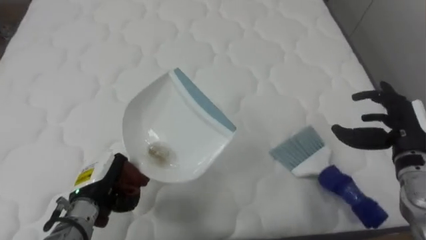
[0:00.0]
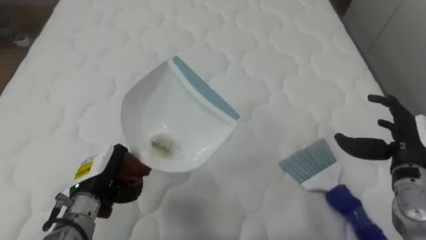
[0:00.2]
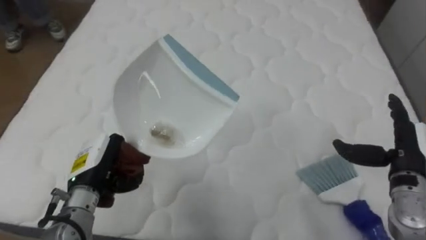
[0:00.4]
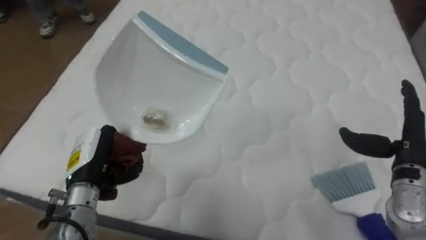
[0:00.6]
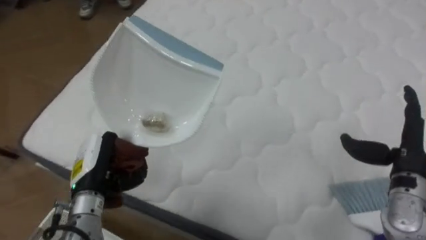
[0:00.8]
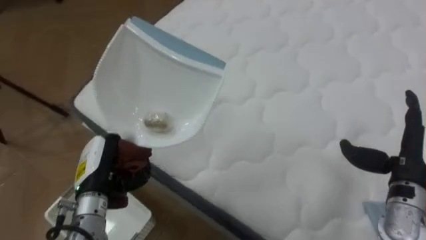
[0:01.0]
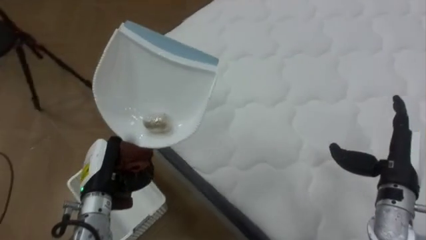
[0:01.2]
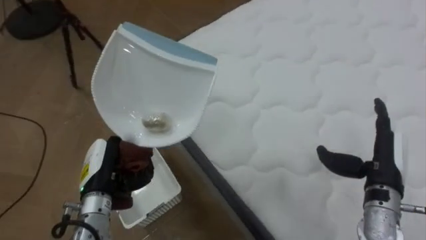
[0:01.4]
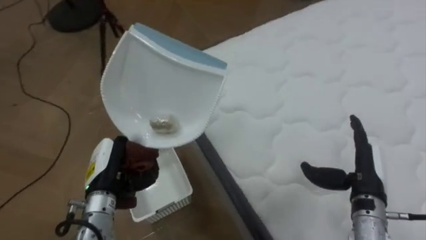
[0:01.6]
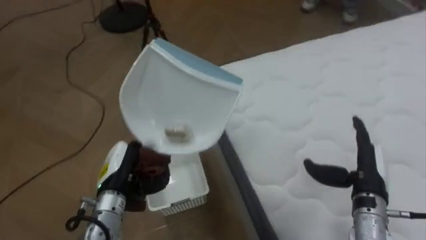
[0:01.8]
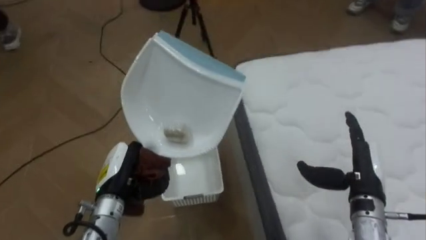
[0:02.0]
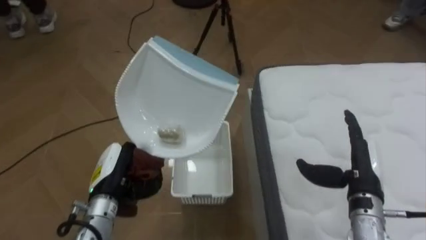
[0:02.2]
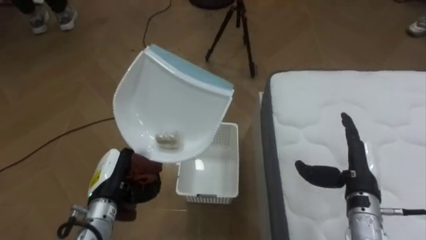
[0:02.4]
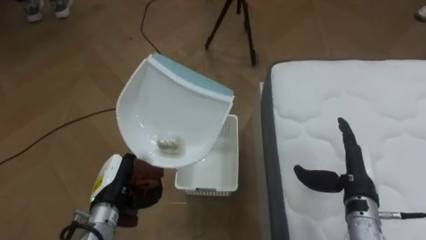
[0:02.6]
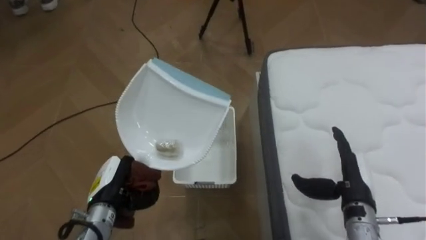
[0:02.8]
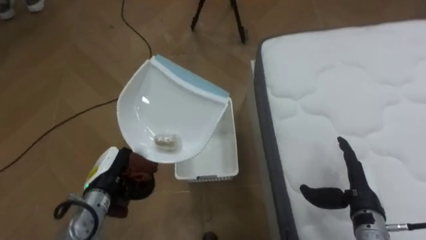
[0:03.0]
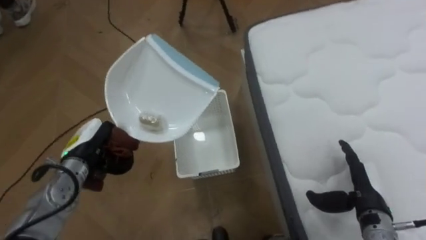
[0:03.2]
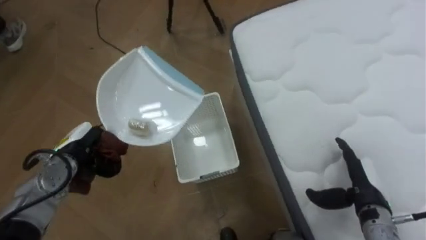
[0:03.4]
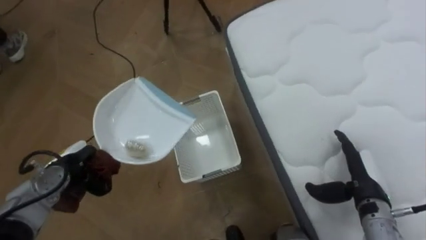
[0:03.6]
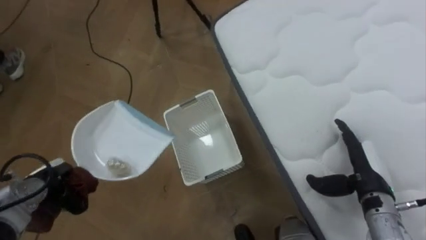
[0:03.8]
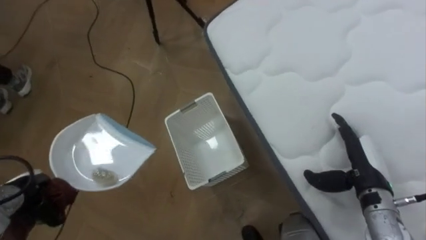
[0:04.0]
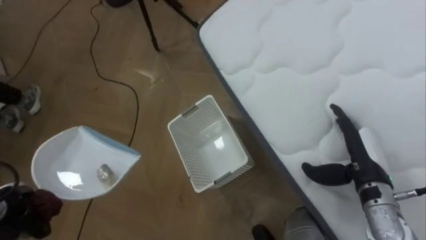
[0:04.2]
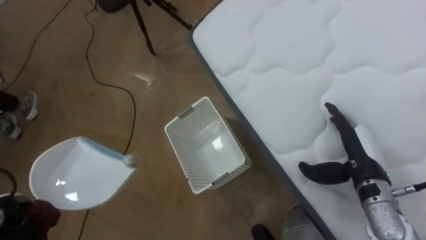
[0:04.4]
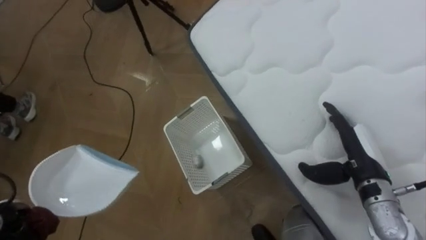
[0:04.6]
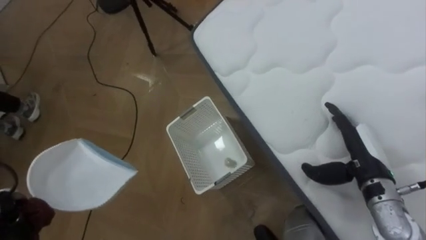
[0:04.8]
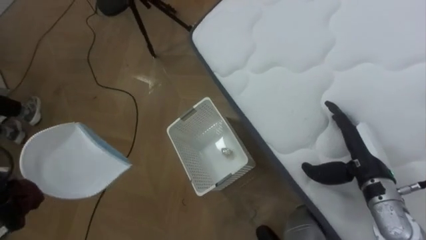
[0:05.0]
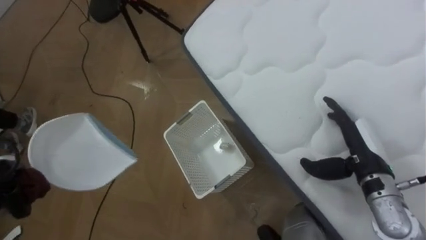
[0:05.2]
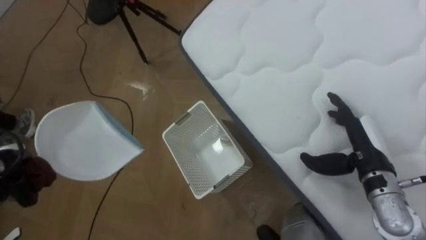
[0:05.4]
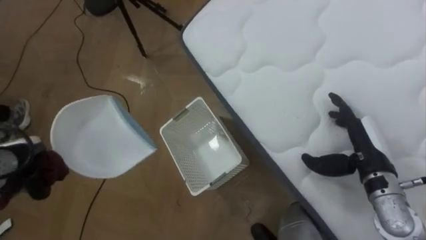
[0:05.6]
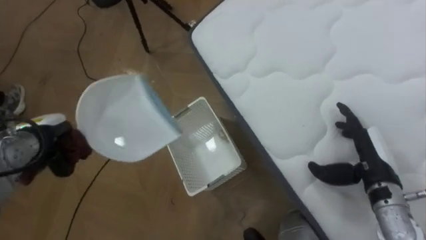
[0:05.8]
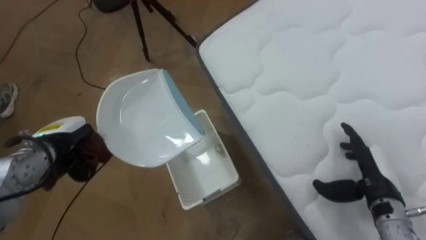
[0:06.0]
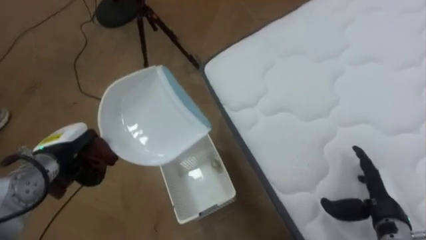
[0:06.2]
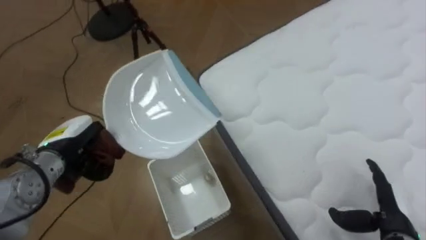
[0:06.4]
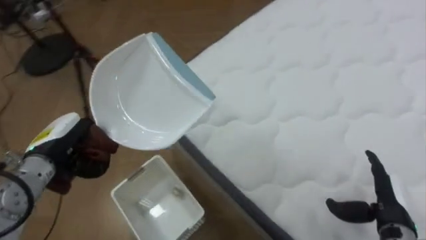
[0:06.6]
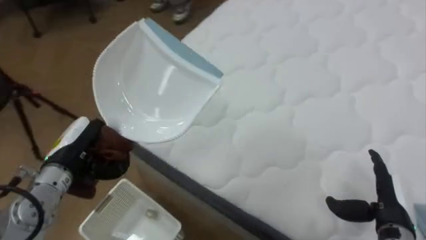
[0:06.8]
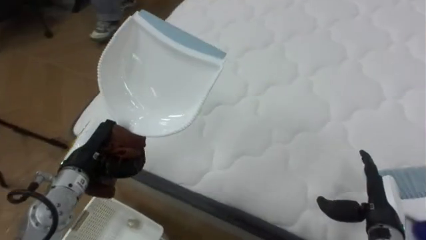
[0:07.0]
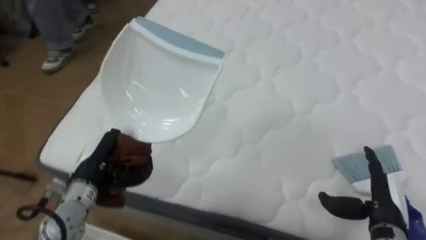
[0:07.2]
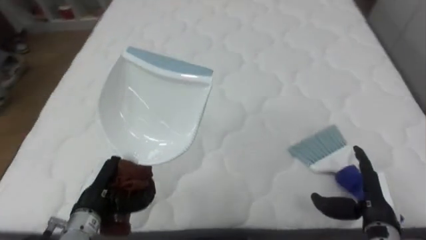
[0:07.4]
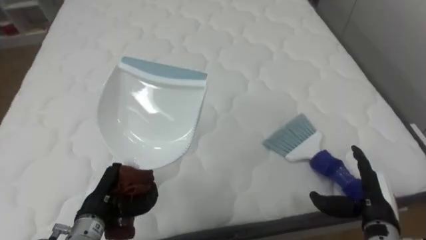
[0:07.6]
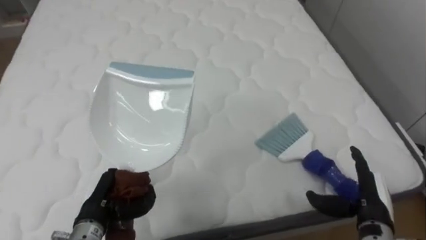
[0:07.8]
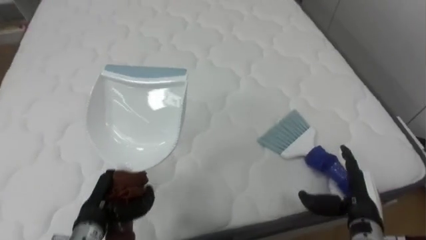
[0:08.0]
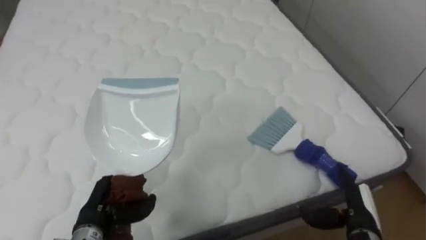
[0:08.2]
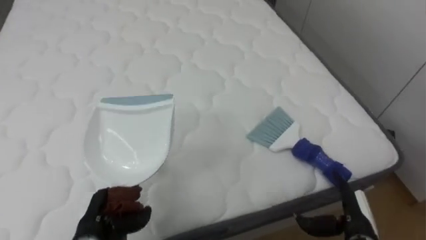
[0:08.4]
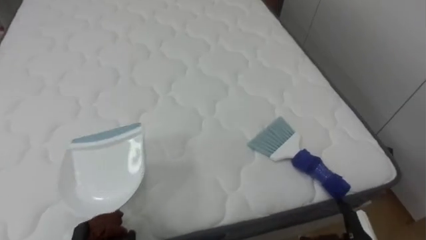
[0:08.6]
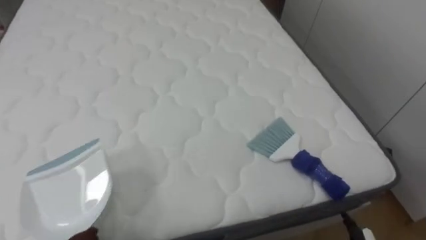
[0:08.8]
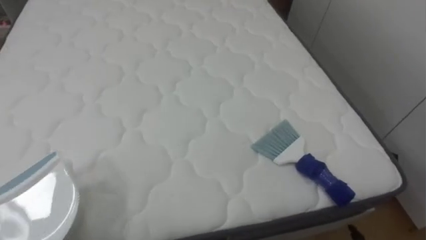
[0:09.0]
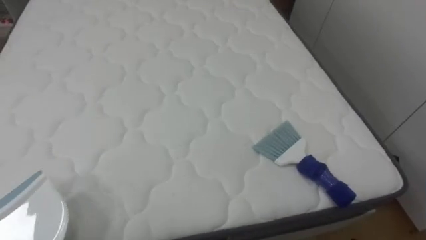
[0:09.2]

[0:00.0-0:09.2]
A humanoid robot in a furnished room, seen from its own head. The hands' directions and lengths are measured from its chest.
Task of the whole recording: Pick up the brush on your right and the dustpan on your left. Use the brush to sweep the crumpled paper on the bed into the dustpan, then turn left and empty it into the basket.
0.0 to 1.6 s: The robot faces some 65 degrees further to its left. The right hand heads to the left, downward and backward, covering approximately 10 cm.
1.6 to 3.0 s: The robot's body swings some 35 degrees to its left.
3.0 to 4.6 s: The left hand goes some 20 cm to the left. Meanwhile the right hand shifts some 5 cm upward.
4.6 to 6.2 s: The right hand goes roughly 10 cm downward and backward.
6.2 to 7.6 s: The robot rotates roughly 75 degrees to its right. The left hand is displaced backward and to the right by roughly 10 cm.

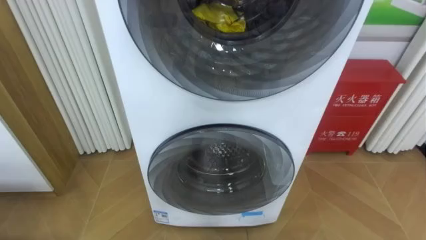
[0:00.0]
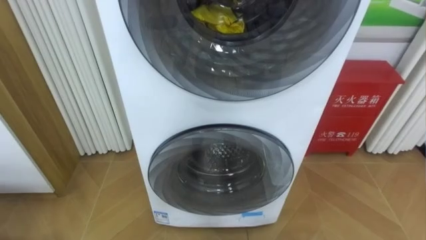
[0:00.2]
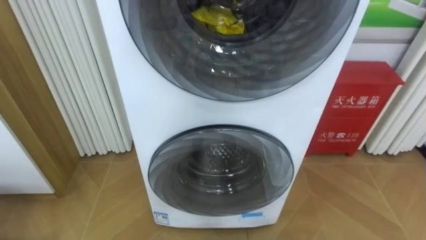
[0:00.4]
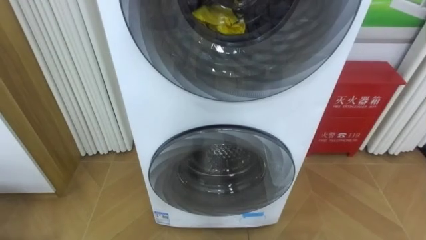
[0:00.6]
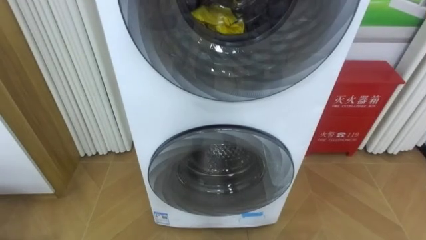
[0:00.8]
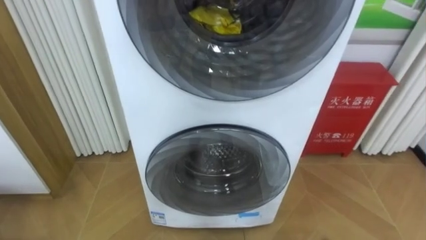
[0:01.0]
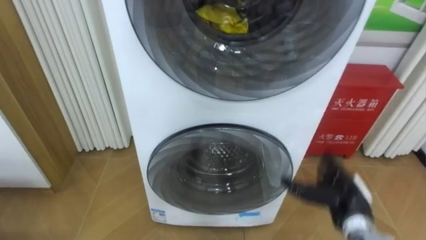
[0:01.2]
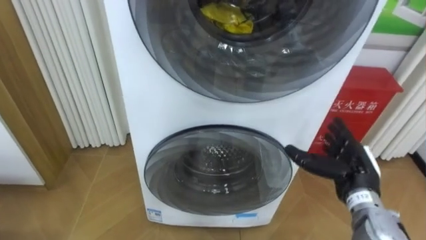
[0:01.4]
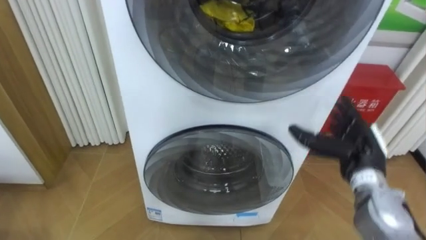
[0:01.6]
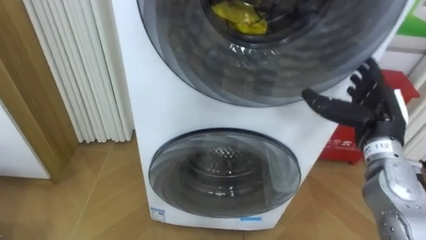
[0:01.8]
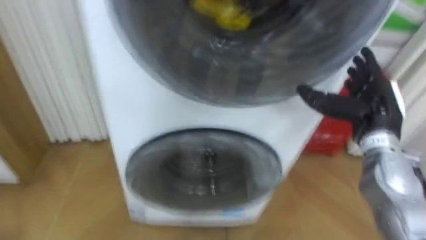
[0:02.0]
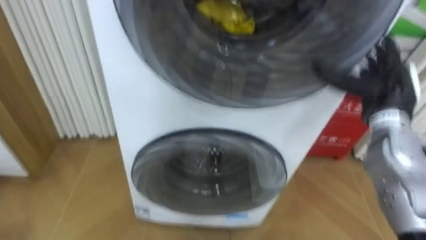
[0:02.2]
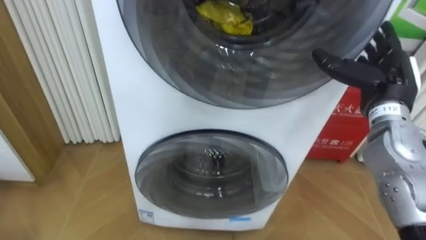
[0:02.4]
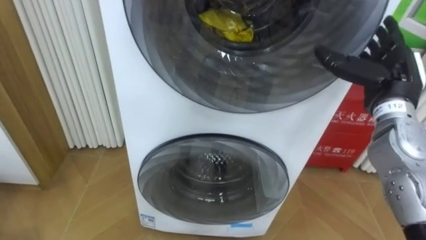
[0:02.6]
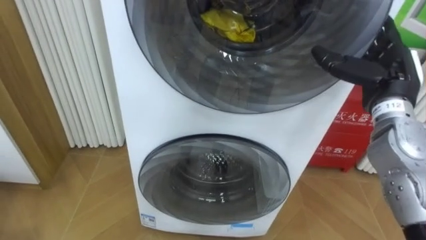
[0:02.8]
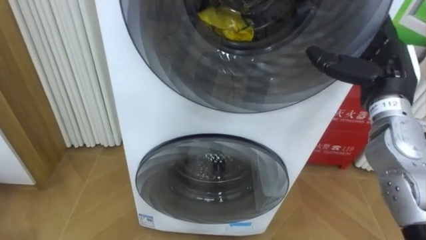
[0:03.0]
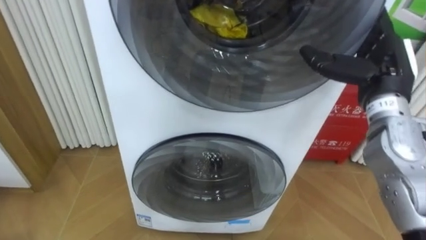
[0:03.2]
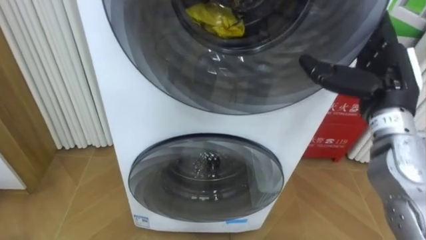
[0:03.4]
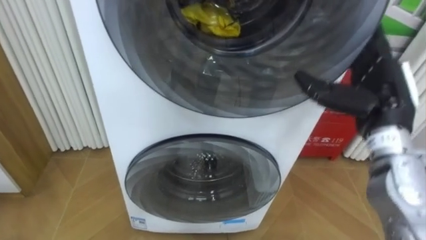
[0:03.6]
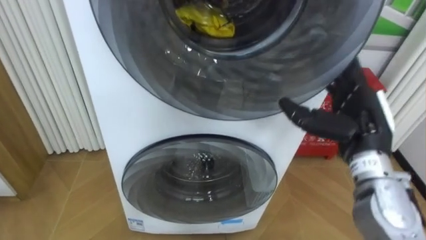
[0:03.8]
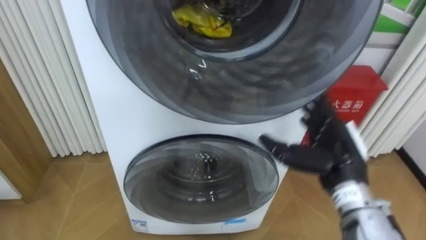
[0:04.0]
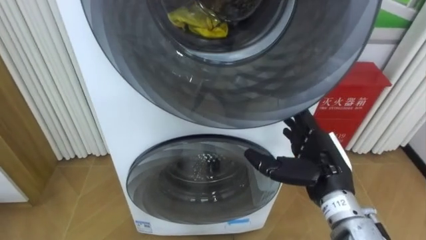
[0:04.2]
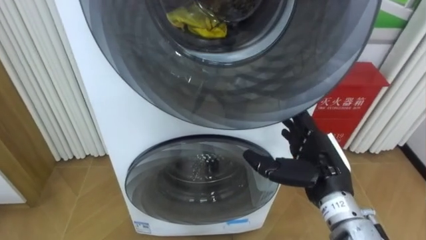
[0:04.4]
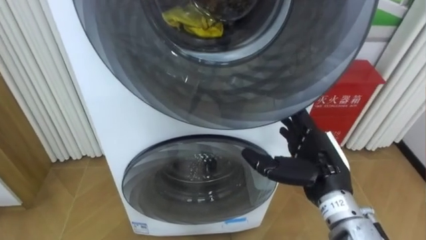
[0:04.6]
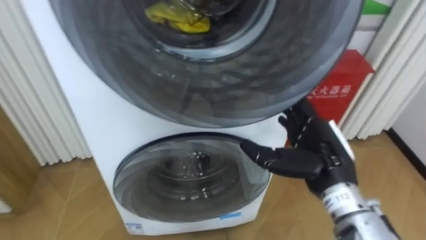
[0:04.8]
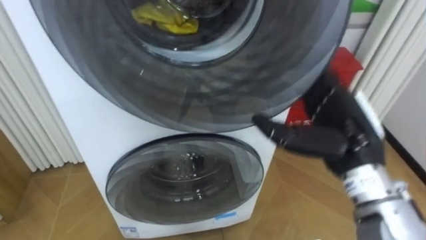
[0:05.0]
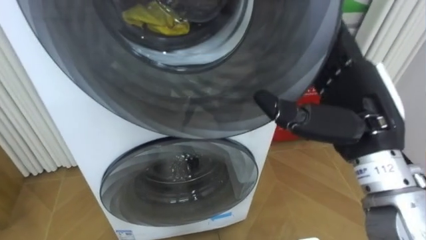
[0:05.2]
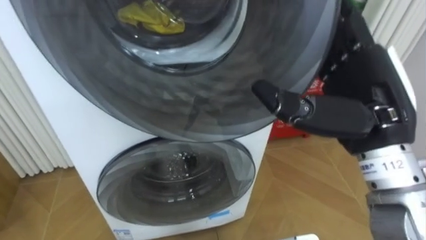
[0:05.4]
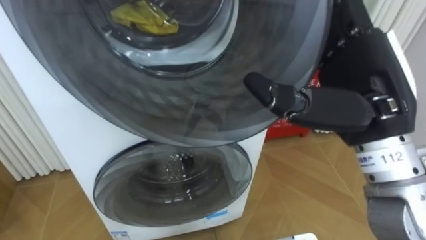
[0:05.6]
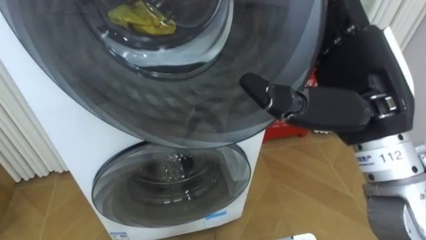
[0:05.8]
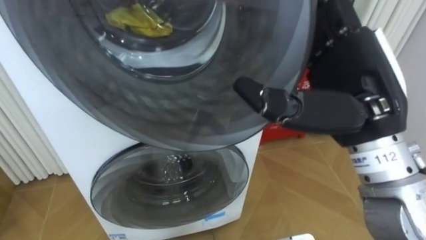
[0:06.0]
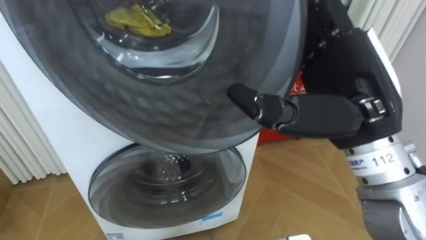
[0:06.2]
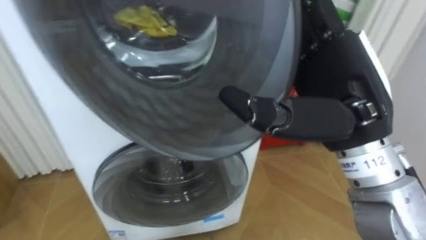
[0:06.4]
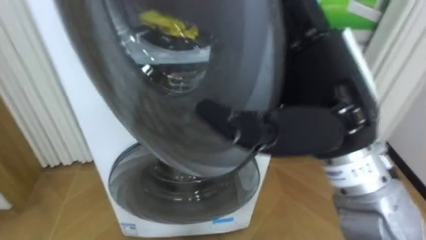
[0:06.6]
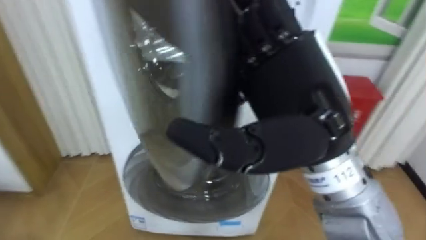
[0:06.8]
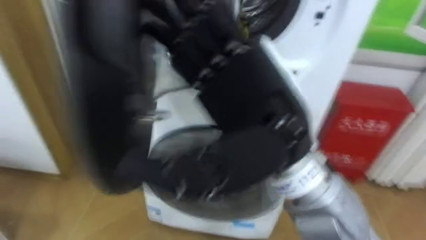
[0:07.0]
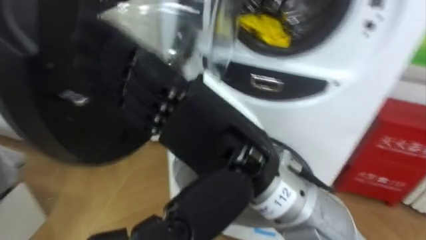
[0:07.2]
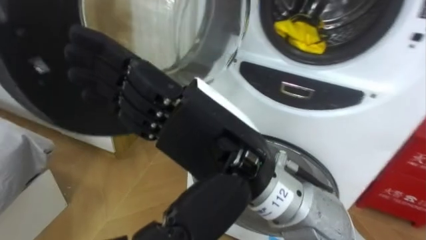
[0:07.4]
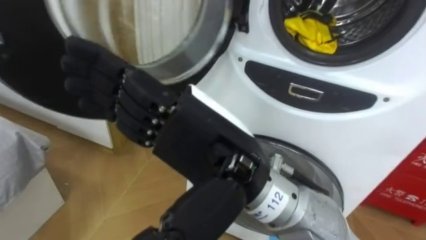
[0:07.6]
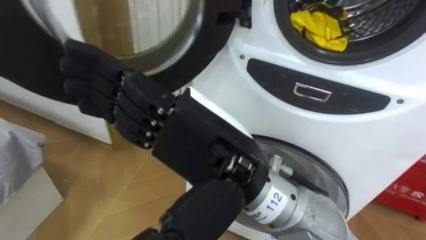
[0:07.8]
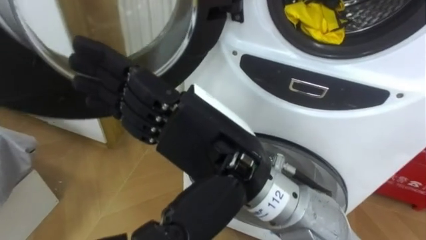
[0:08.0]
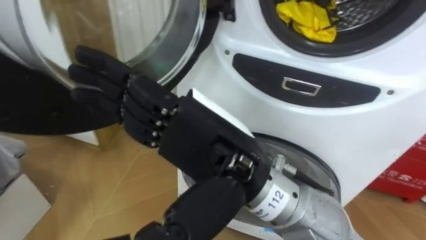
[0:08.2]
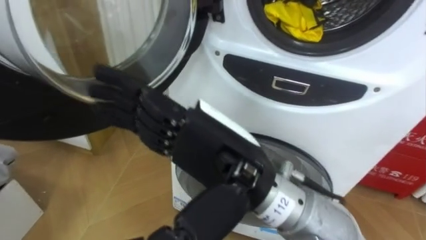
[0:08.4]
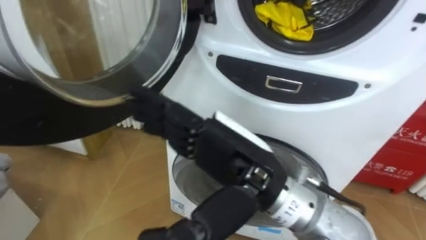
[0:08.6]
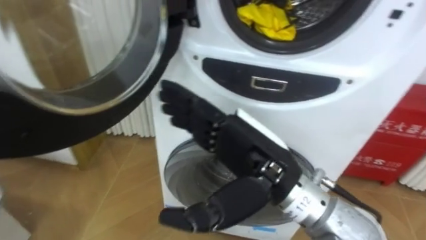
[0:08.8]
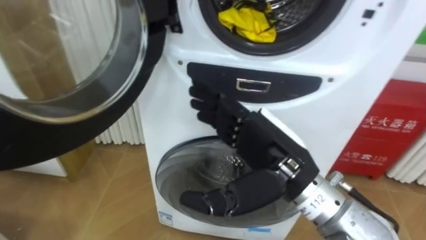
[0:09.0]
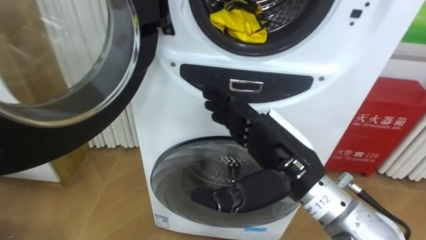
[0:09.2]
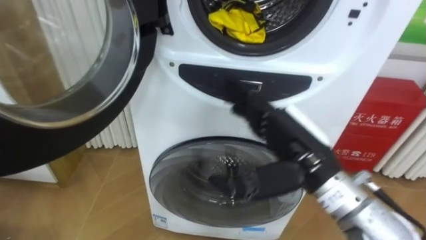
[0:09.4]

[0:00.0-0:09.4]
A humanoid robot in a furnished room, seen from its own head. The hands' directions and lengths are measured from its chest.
Task of the whole recording: Open the washing machine door, take out the yellow clothes, place them in the box on the right, and close the washing machine door.
1.6 to 3.2 s: The right hand moves upward, about 15 cm.
3.2 to 4.8 s: The right hand moves downward, to the left and backward, about 15 cm.
4.8 to 6.2 s: The right hand heads upward, covering approximately 15 cm.
6.2 to 7.8 s: The right hand is displaced to the left by some 15 cm.
7.8 to 9.4 s: The right hand travels to the right, downward and forward by roughly 15 cm.
